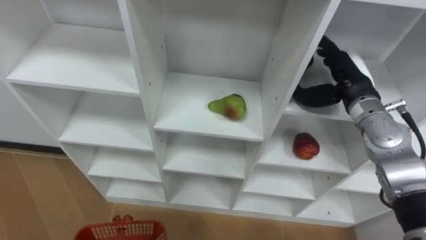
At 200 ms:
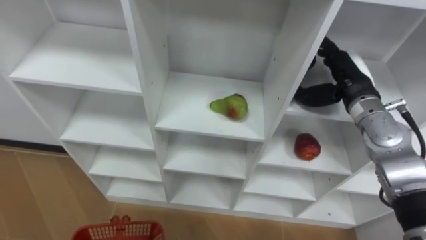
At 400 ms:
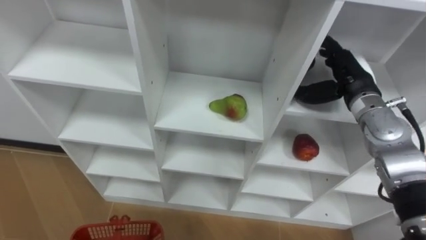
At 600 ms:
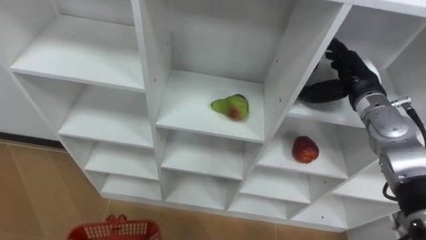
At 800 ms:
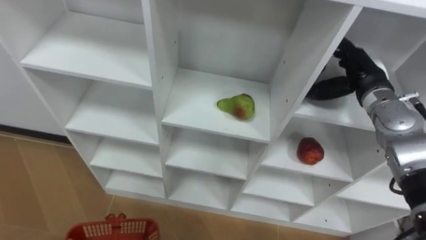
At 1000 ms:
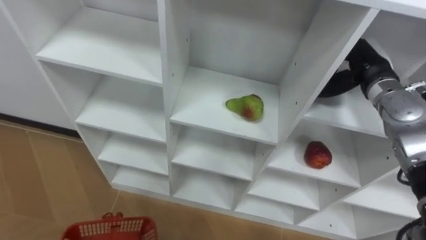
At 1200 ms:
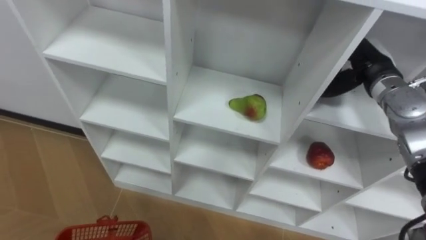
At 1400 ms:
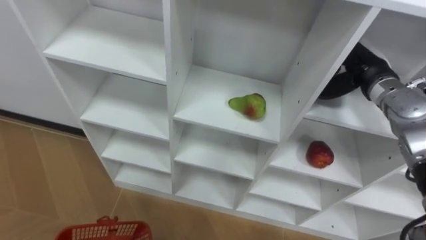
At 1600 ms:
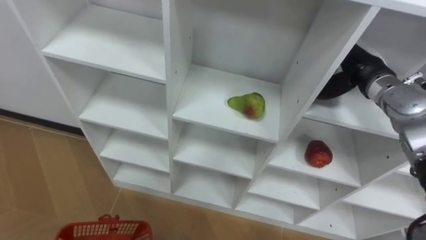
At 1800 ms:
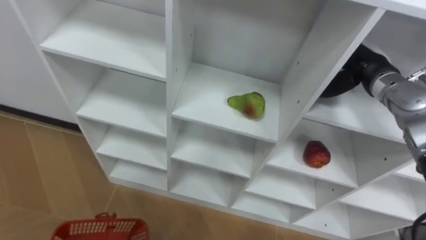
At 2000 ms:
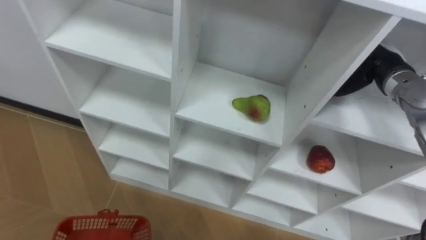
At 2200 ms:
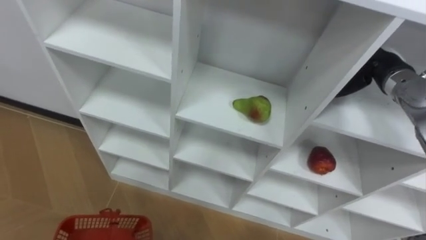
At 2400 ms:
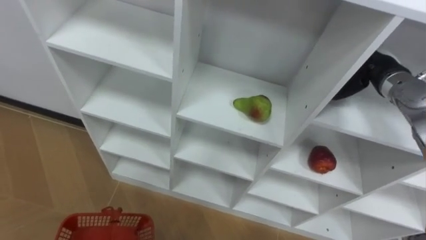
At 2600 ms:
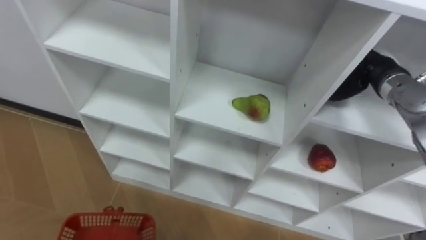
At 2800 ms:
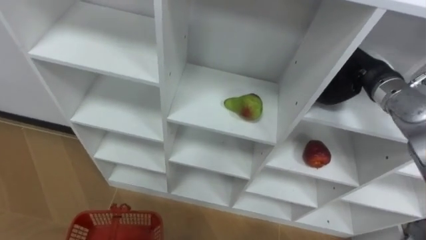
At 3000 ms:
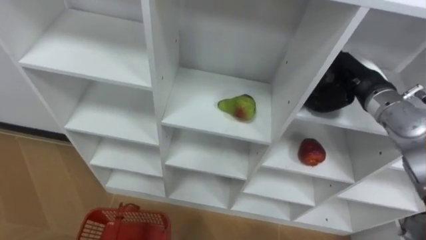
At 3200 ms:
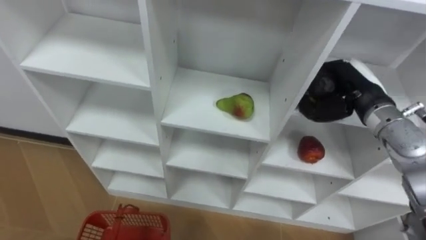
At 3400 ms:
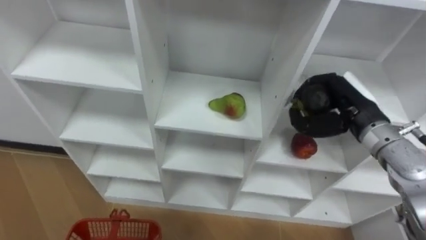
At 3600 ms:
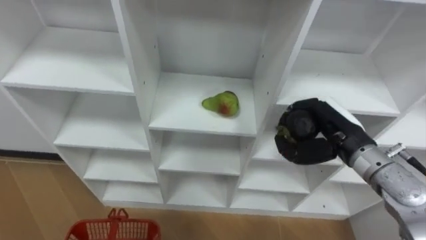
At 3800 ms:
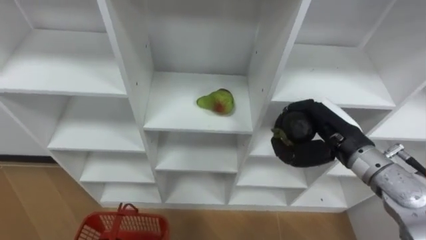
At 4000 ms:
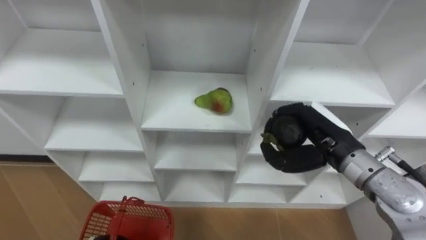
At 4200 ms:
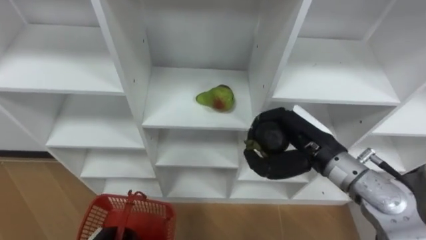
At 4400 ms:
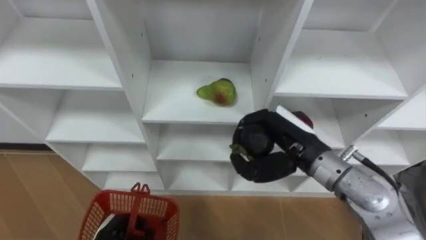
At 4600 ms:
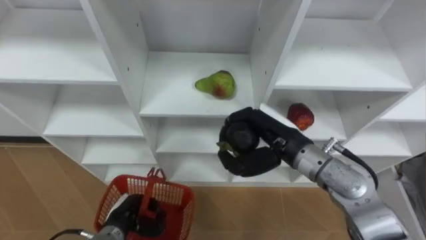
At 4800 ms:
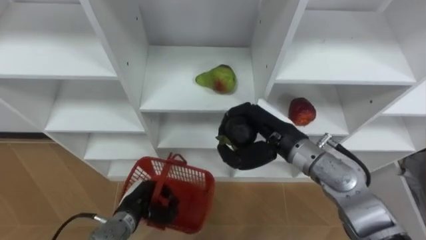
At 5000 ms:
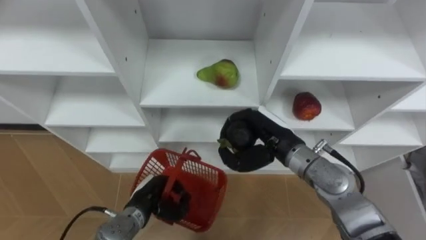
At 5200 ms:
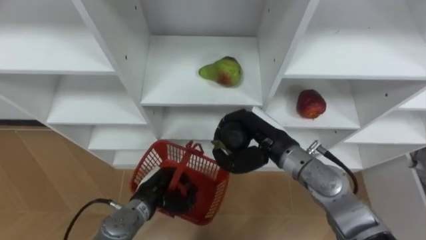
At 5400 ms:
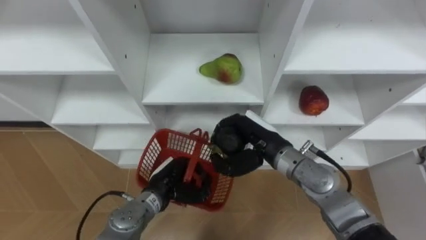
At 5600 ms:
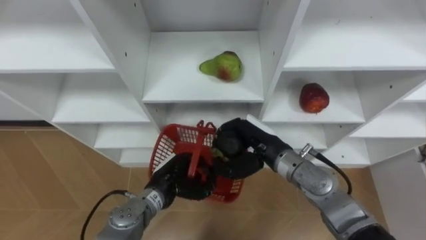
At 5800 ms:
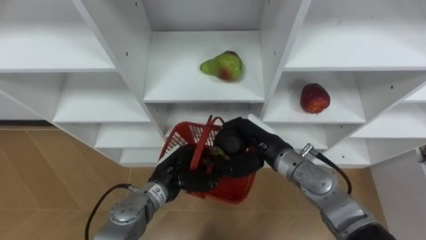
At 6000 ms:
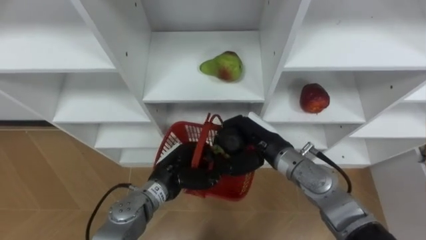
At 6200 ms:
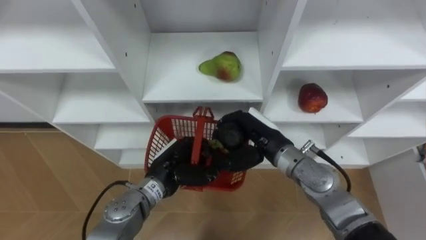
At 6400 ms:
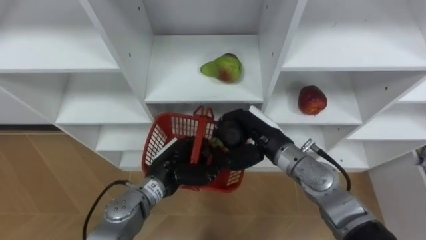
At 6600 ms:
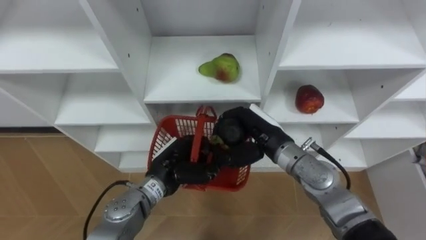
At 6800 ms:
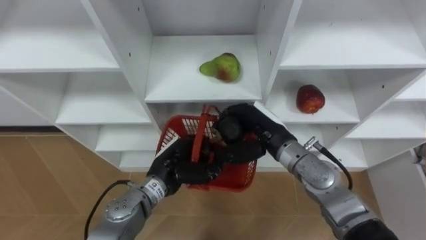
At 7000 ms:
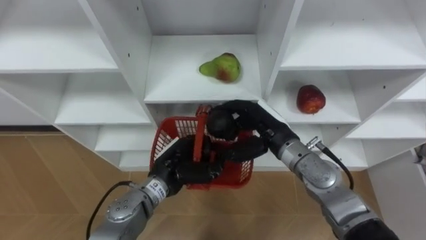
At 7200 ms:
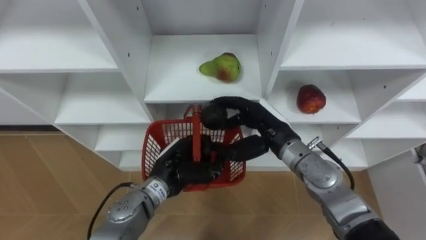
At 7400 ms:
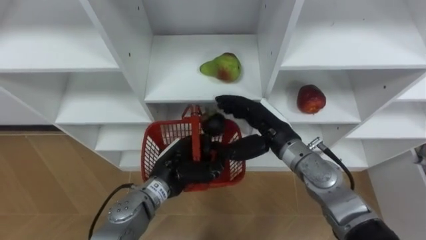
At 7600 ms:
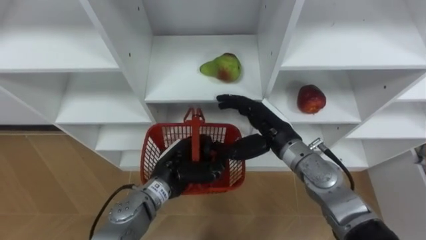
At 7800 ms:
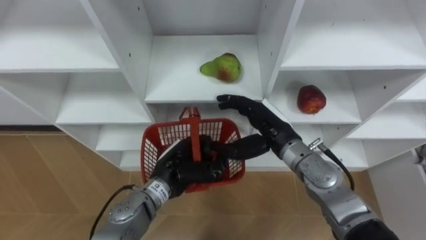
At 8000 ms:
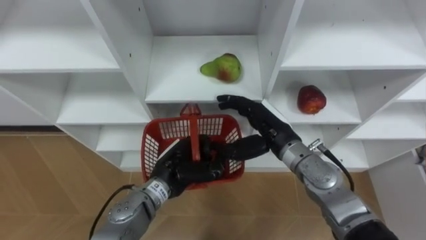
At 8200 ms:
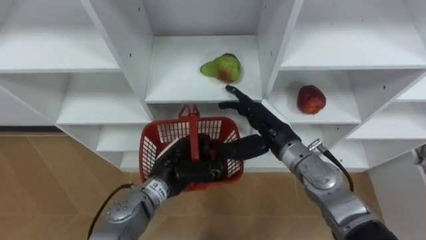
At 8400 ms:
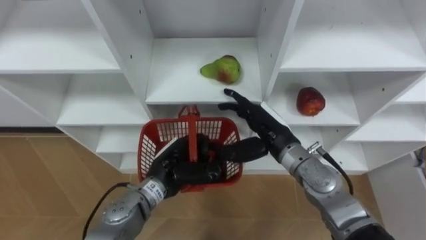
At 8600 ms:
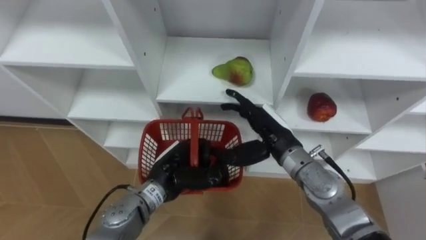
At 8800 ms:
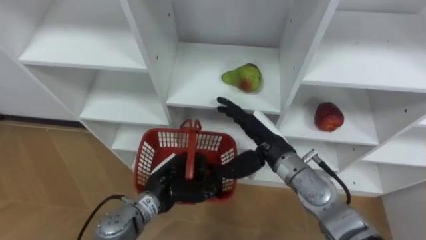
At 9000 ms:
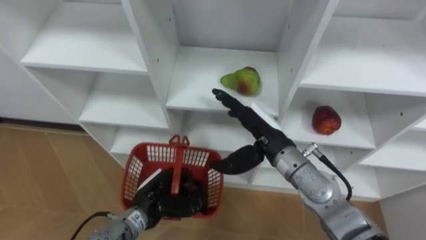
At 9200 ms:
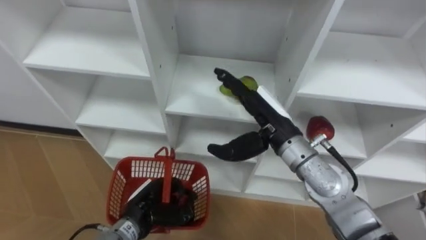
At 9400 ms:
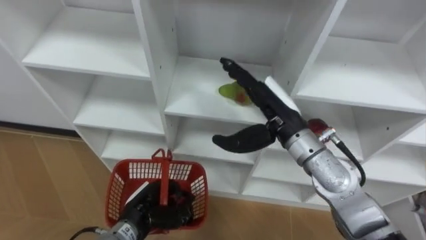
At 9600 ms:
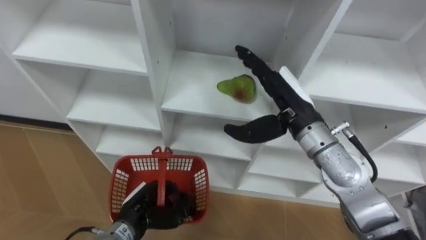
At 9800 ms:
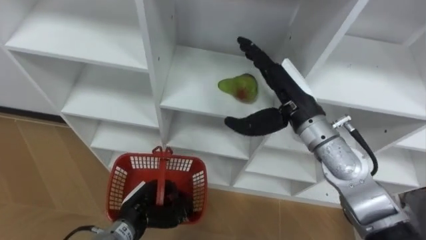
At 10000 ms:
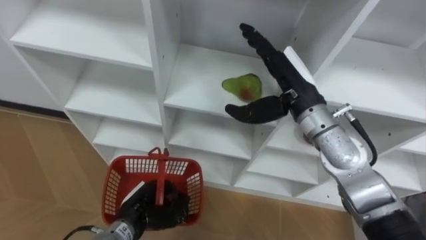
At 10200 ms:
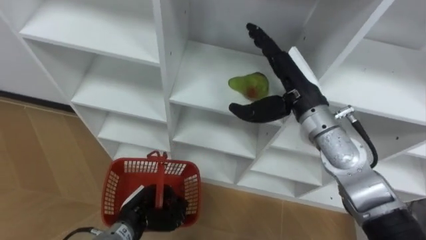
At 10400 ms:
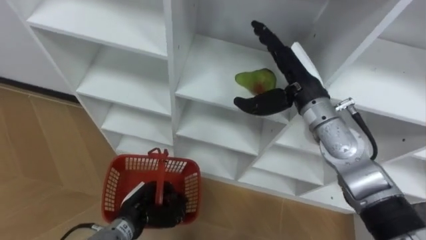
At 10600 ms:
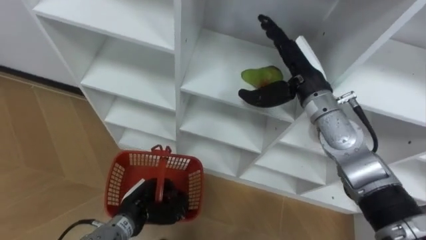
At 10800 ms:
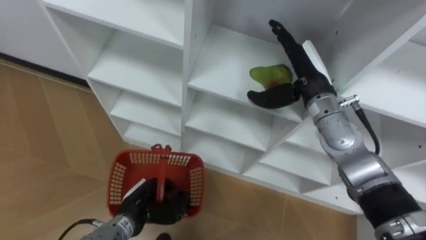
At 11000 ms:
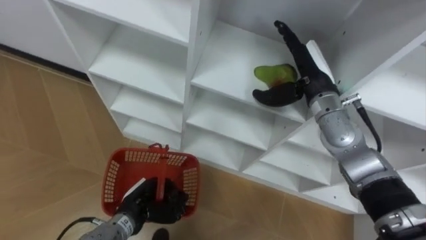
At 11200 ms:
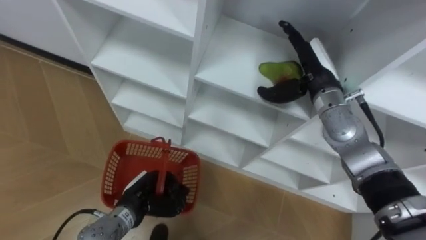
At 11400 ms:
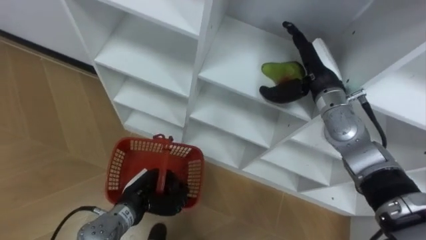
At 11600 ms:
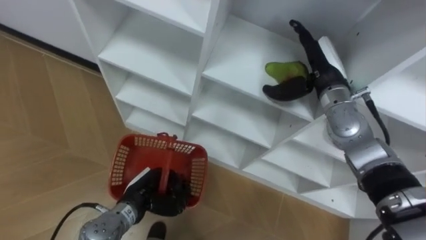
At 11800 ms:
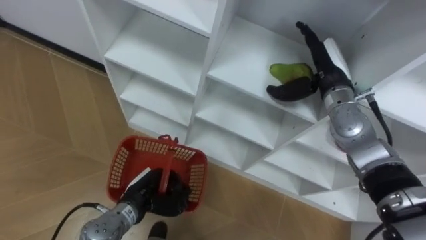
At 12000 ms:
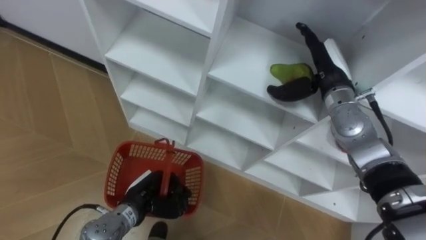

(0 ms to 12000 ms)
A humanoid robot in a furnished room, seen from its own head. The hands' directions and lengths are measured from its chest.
Task of the whole recording: Hold the basket and collect the fruits from 3 different cells of the closet into it.
1600 ms - 3000 ms: The right hand closes up.
3000 ms - 4400 ms: The right hand moves to the left and backward, roughly 15 cm.
4400 ms - 6000 ms: The left hand goes some 20 cm to the right, forward and upward. The right hand travels downward and to the left by roughly 10 cm.
6000 ms - 7600 ms: The right hand opens up.
7600 ms - 9000 ms: The left hand moves about 10 cm.
9000 ms - 10400 ms: The right hand is displaced upward, forward and to the right by approximately 10 cm, while the left hand shifts by approximately 5 cm.
10400 ms - 12000 ms: The right hand heads to the right, covering approximately 5 cm.

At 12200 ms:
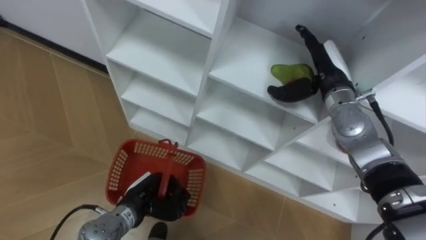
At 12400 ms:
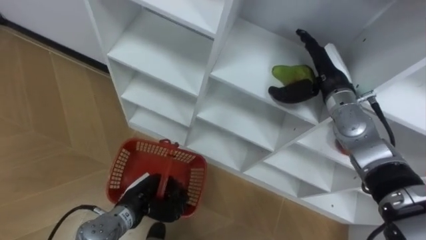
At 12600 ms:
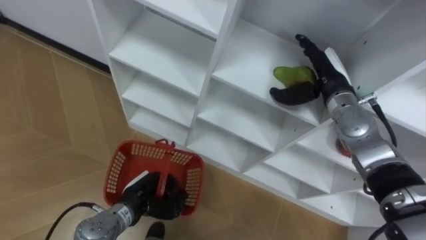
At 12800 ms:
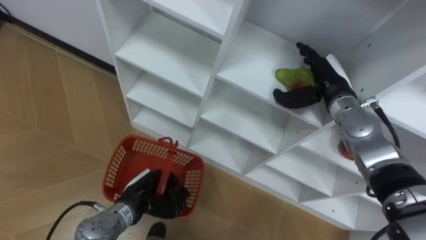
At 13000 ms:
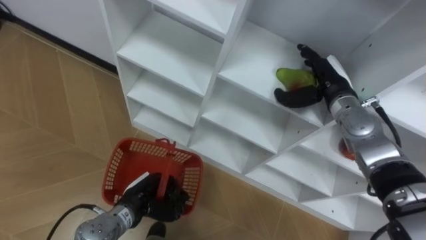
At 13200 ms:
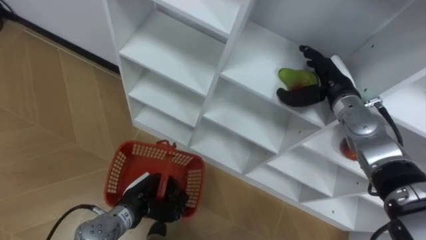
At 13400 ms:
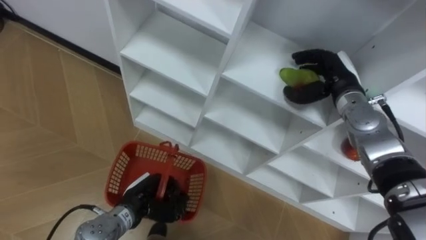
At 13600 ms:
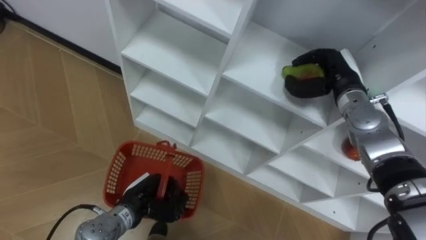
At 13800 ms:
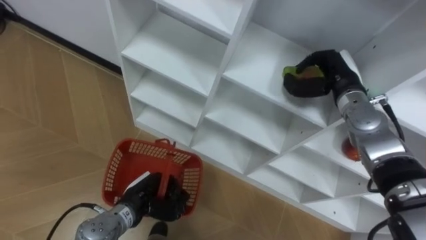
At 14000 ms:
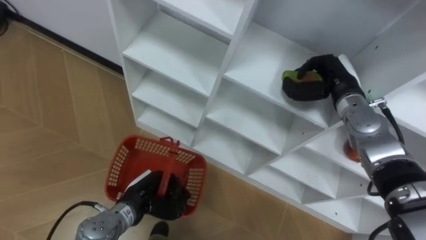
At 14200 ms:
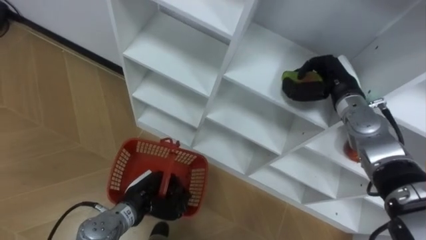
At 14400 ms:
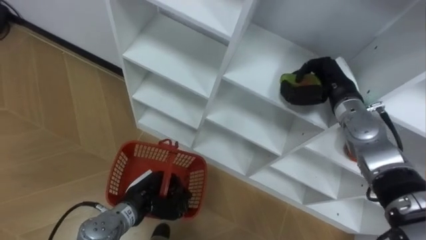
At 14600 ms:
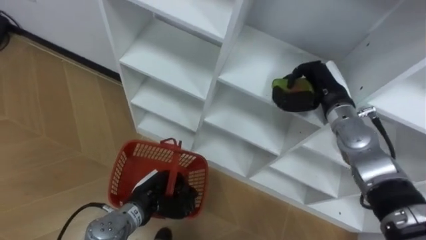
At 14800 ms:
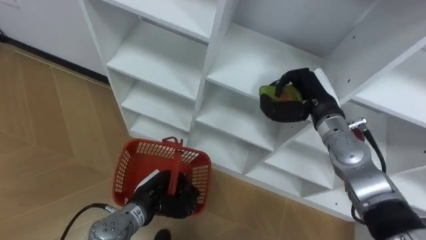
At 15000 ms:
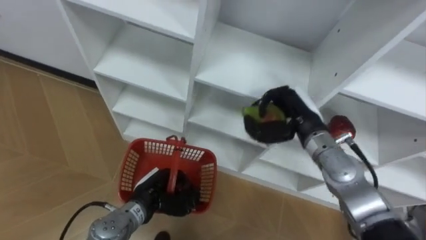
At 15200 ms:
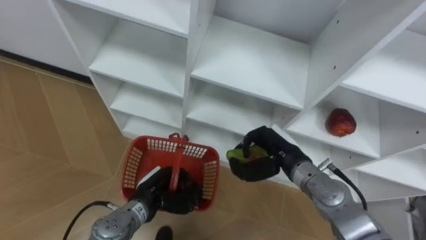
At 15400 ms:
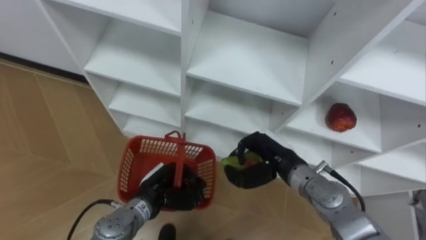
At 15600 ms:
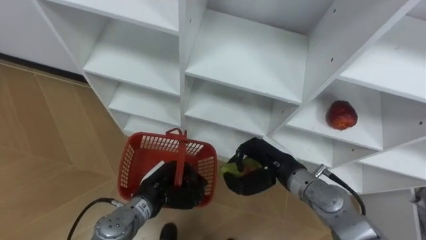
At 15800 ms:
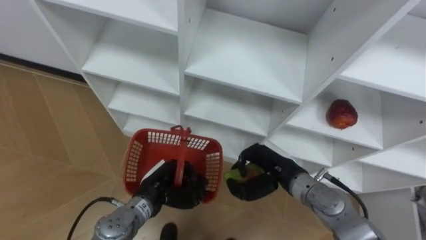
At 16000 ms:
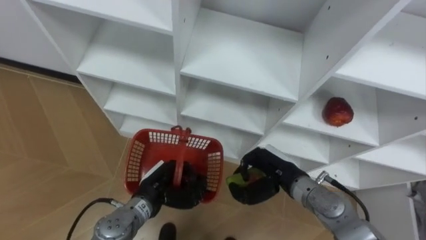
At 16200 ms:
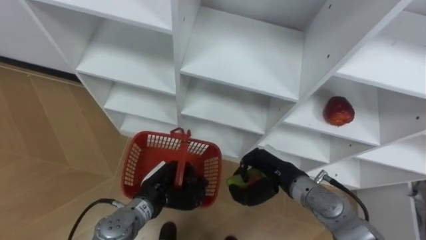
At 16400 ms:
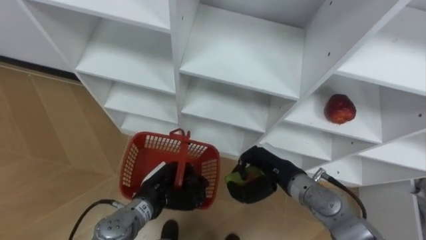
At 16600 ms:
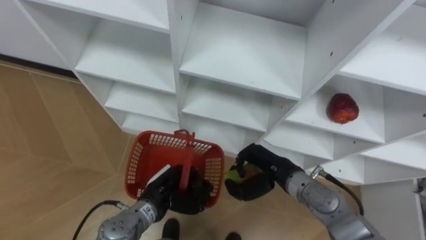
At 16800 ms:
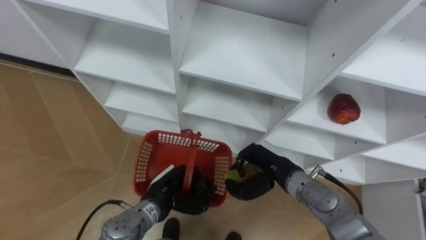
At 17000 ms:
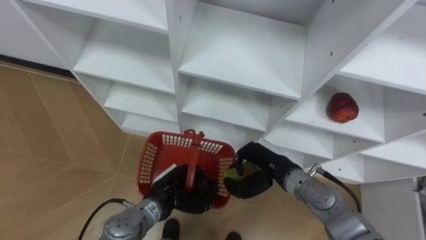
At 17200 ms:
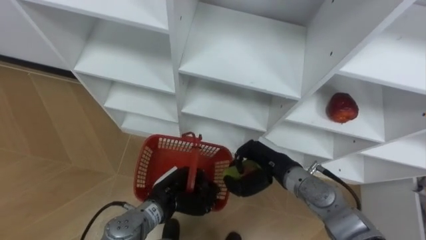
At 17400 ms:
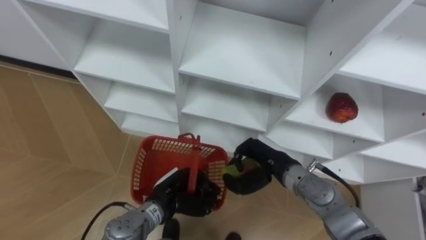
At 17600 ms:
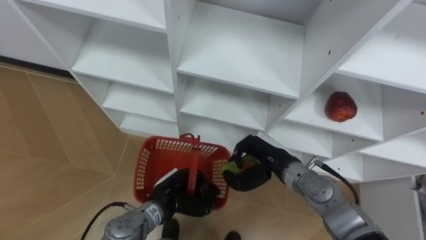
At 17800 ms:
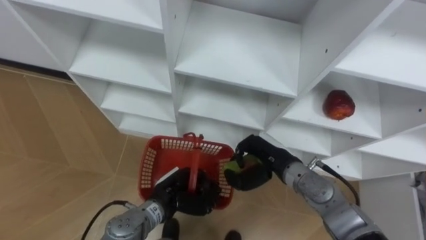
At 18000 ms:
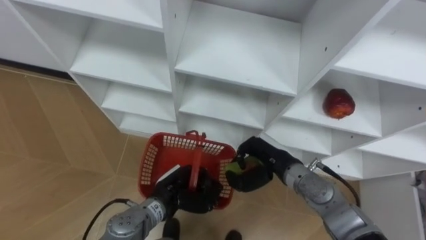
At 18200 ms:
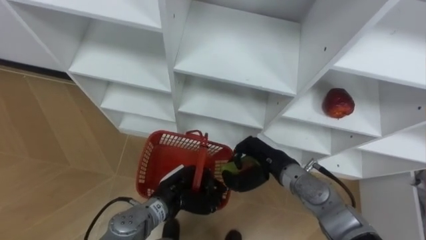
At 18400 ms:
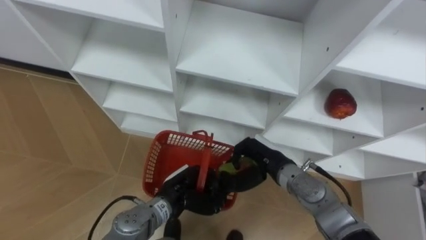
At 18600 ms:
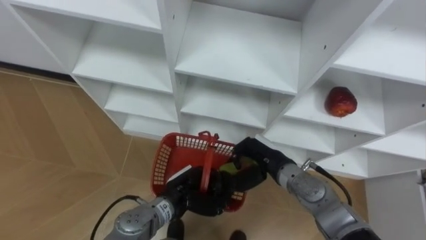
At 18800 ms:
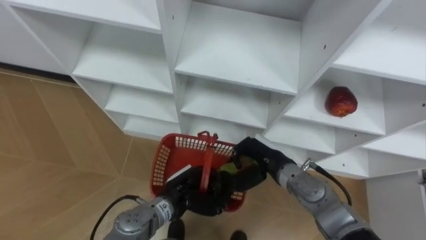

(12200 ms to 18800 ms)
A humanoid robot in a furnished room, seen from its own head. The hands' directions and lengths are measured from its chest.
Task of the whole recording: Hold the basket and collect the fruits from 3 different cells of the closet into it.
12200 ms - 13800 ms: The right hand closes up.
13800 ms - 15400 ms: The right hand moves backward, to the left and downward, about 20 cm.
